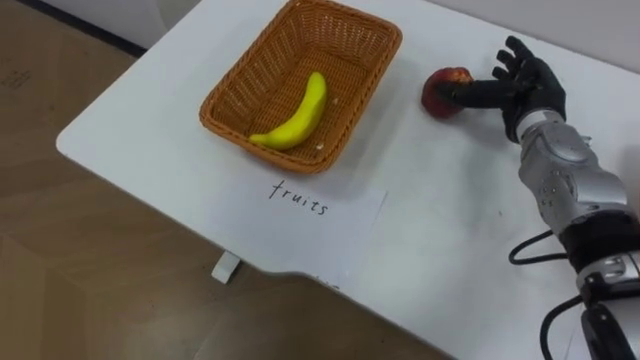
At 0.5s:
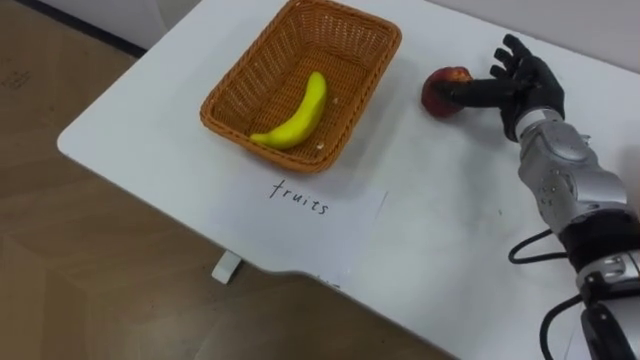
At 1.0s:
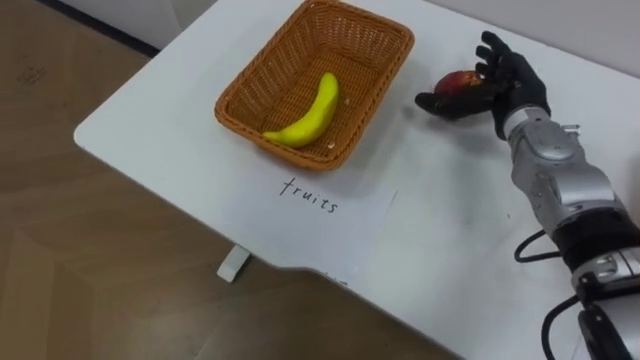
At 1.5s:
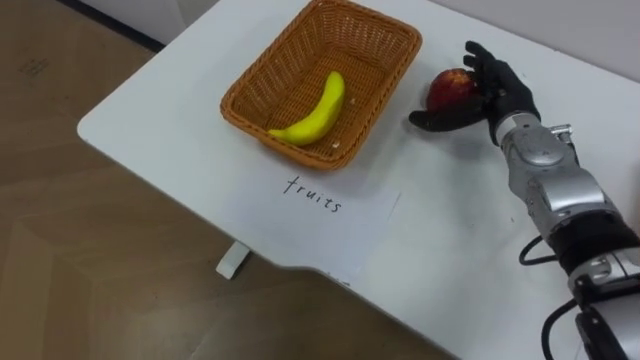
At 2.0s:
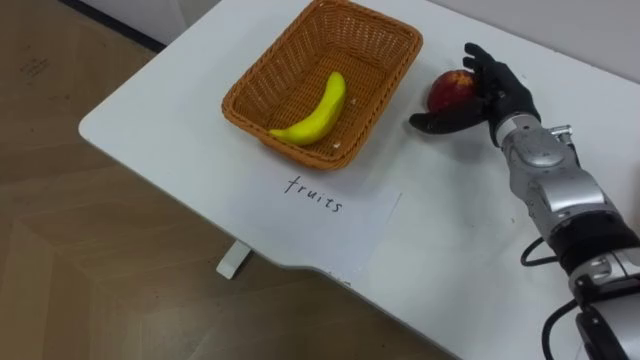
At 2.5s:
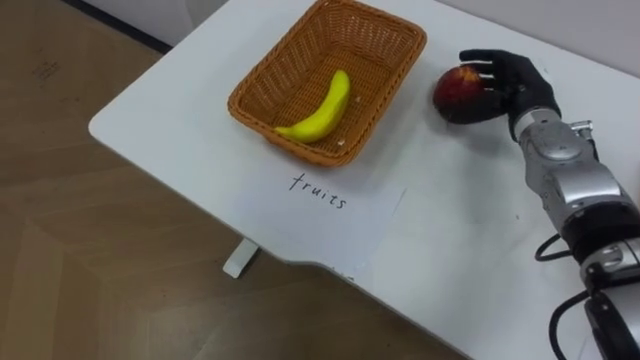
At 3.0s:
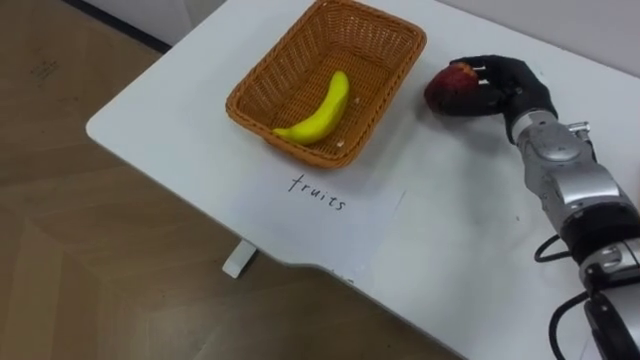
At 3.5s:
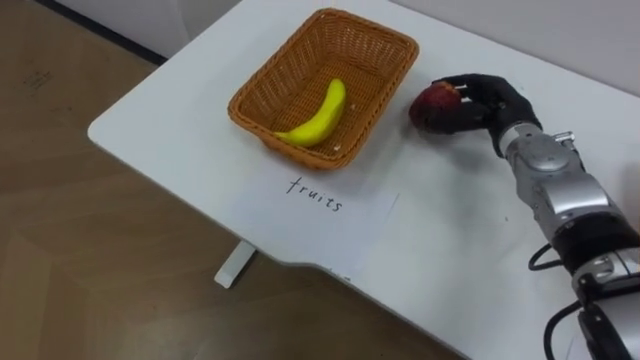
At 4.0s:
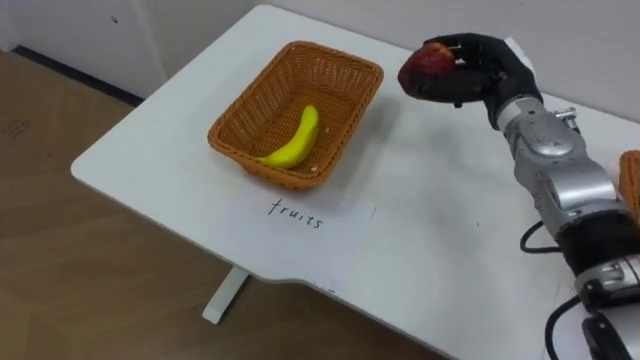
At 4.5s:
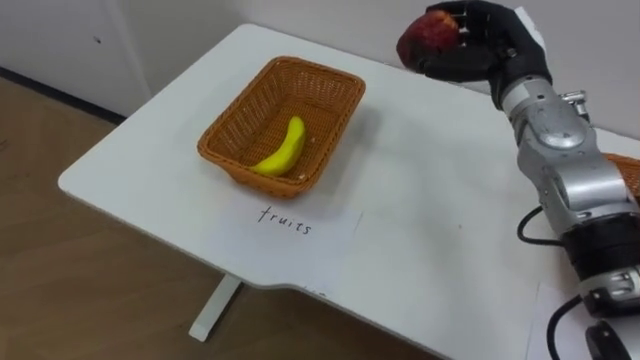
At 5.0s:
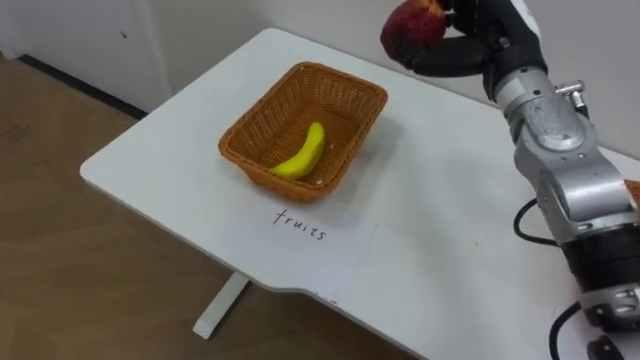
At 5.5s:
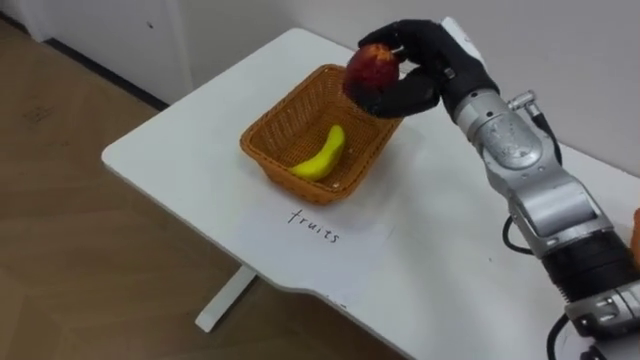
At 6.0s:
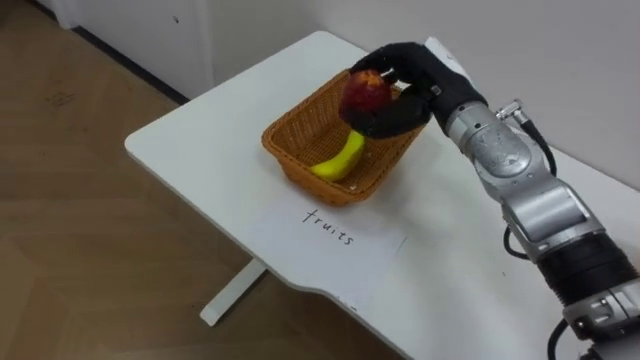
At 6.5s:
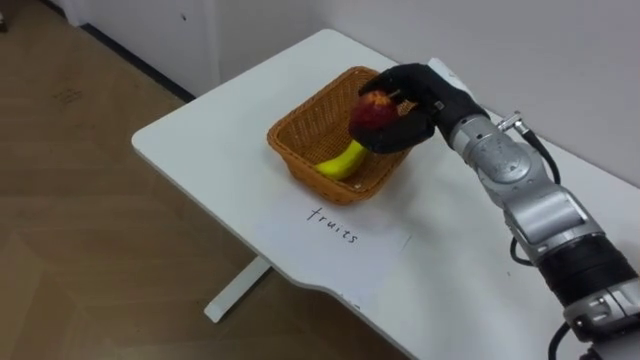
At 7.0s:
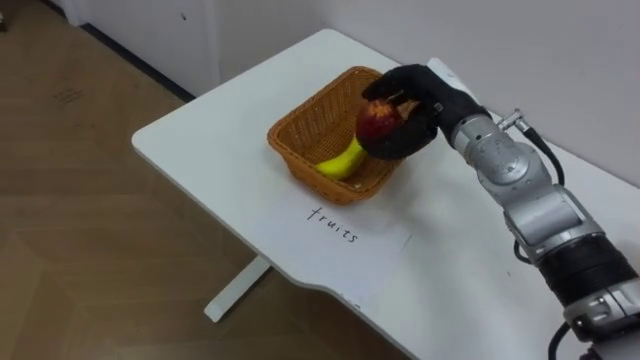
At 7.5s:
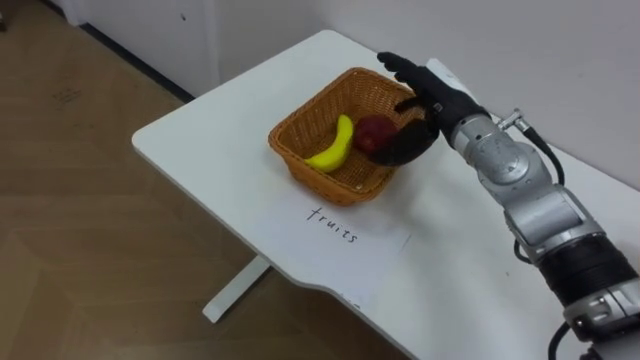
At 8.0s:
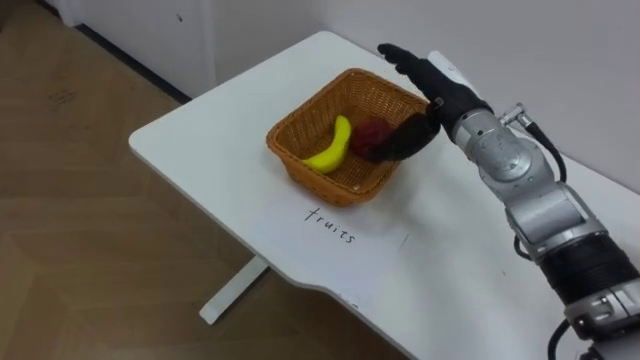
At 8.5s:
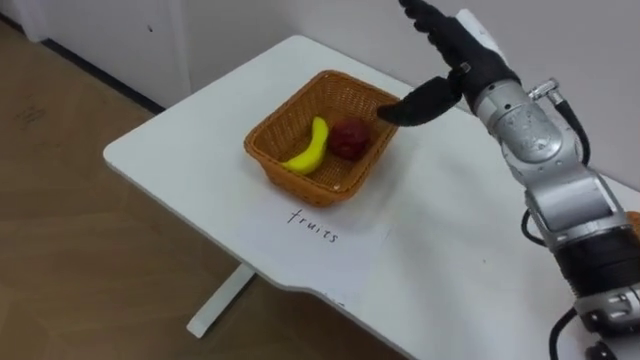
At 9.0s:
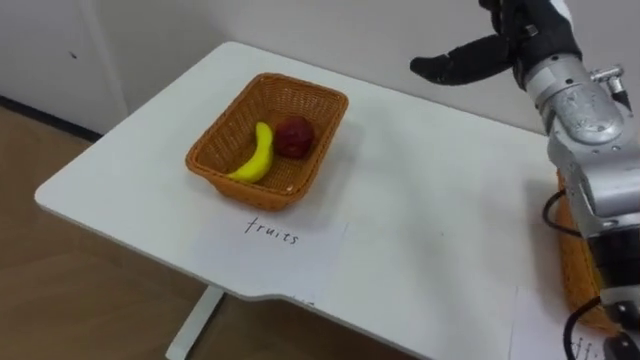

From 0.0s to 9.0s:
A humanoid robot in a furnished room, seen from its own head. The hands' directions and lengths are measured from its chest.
Task of the whole recording: Separate the items on the table and place them into the two baskets.
From 2.0s to 4.5s: The right hand is displaced upward by about 5 cm, and closes up.
From 4.5s to 7.0s: The right hand goes about 5 cm to the left.
From 7.0s to 9.0s: The right hand travels upward and to the right by roughly 10 cm, and opens its fingers.

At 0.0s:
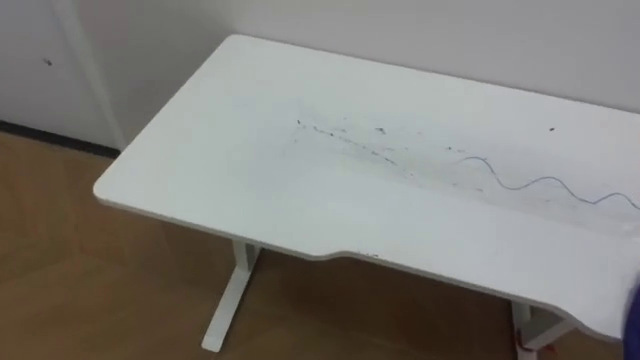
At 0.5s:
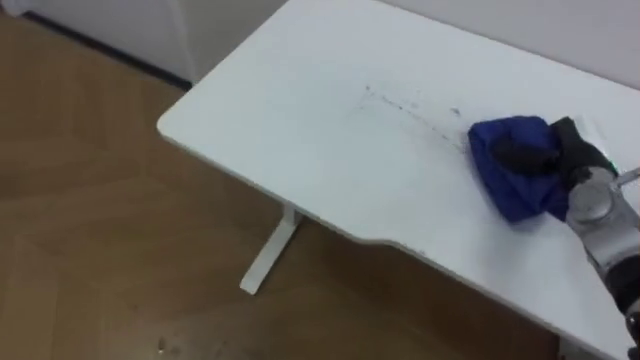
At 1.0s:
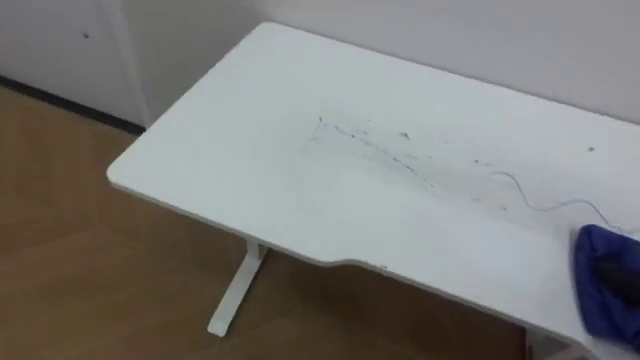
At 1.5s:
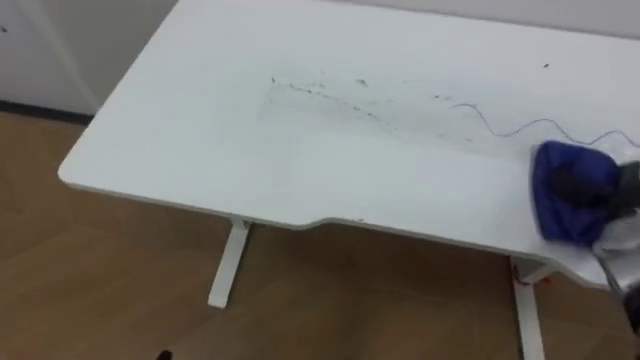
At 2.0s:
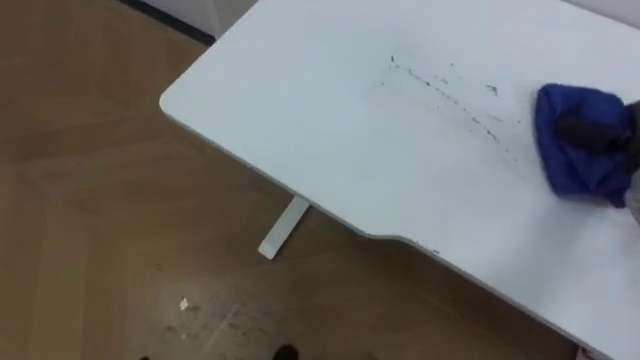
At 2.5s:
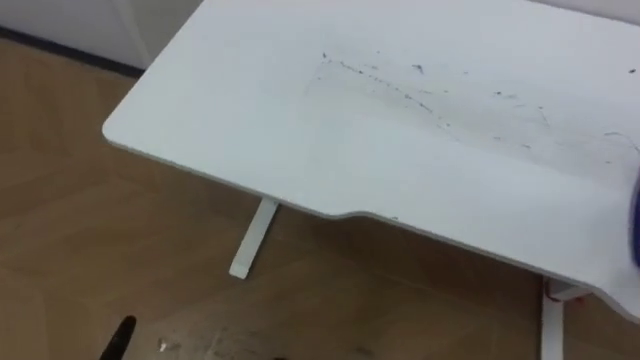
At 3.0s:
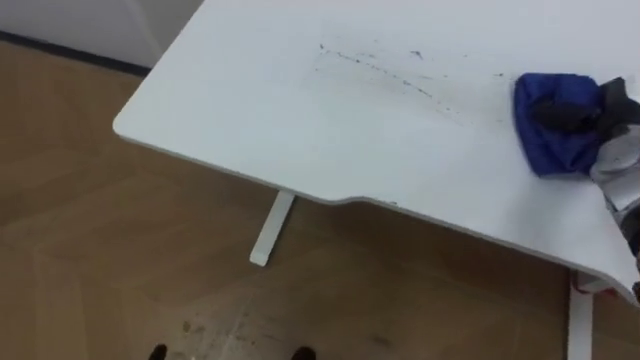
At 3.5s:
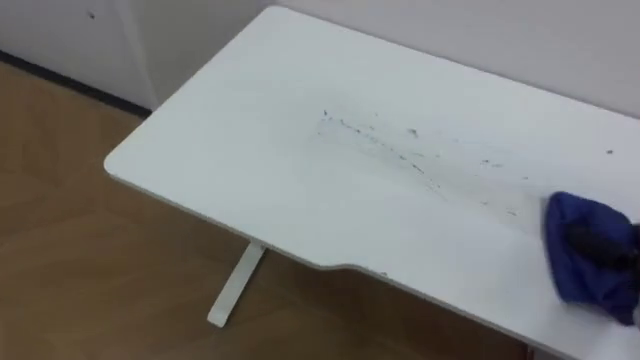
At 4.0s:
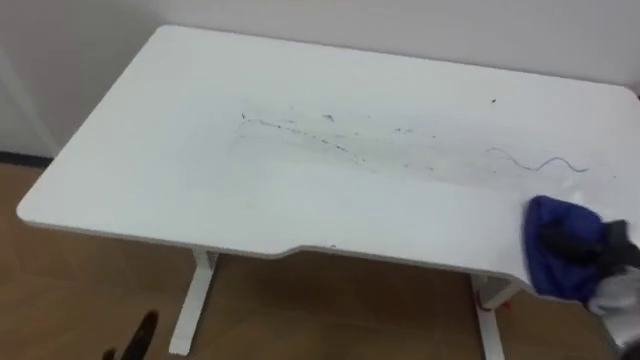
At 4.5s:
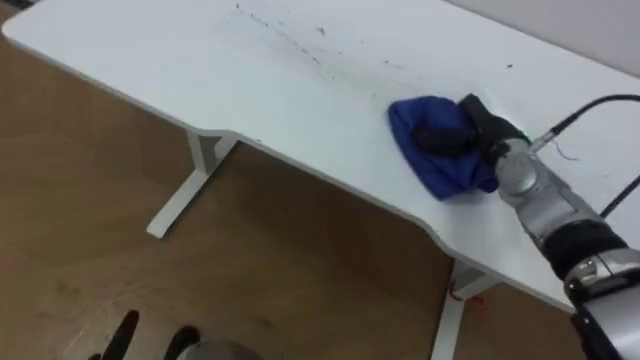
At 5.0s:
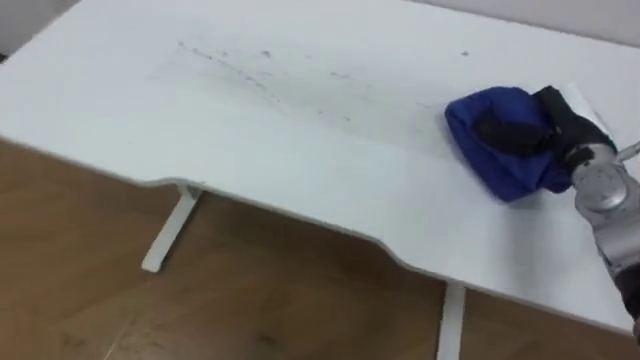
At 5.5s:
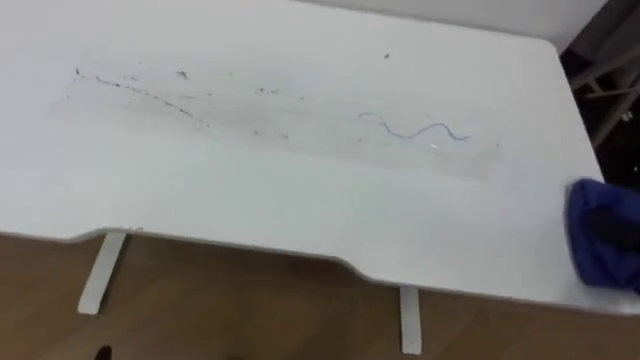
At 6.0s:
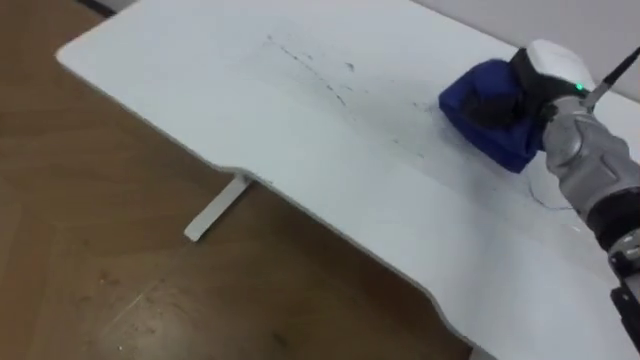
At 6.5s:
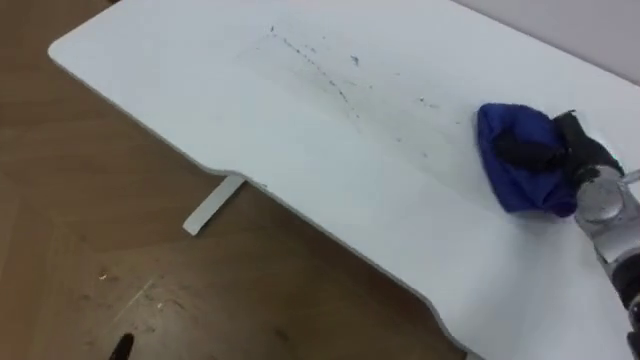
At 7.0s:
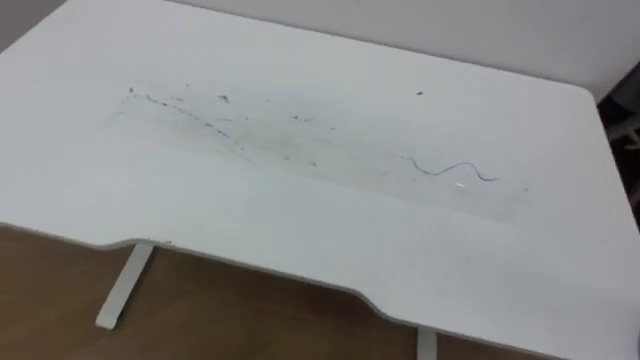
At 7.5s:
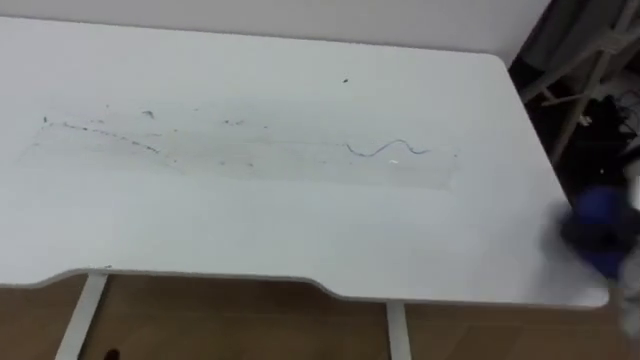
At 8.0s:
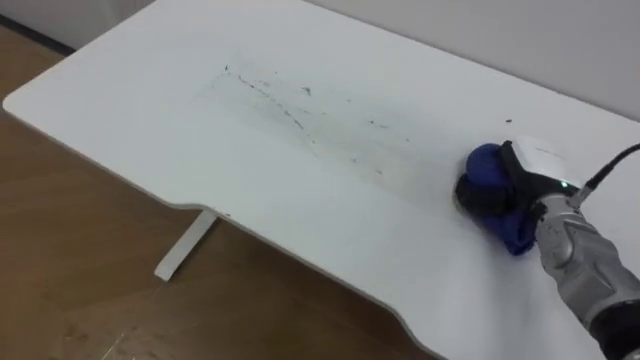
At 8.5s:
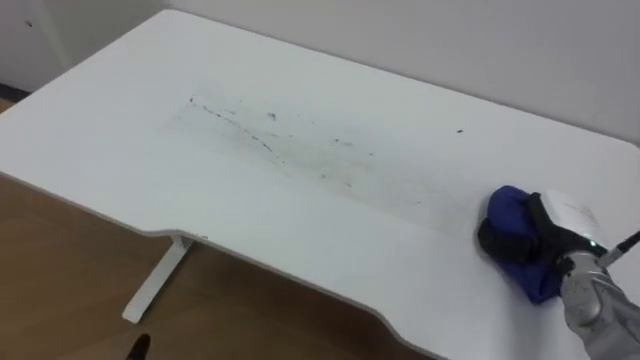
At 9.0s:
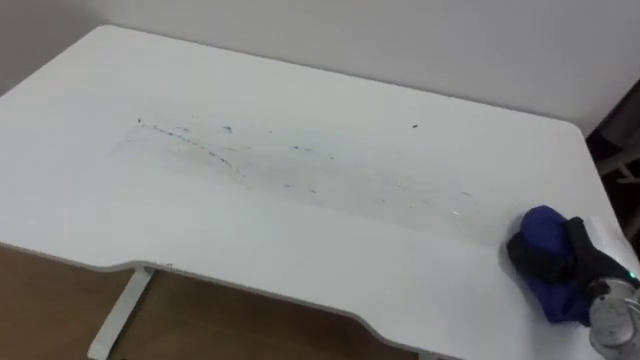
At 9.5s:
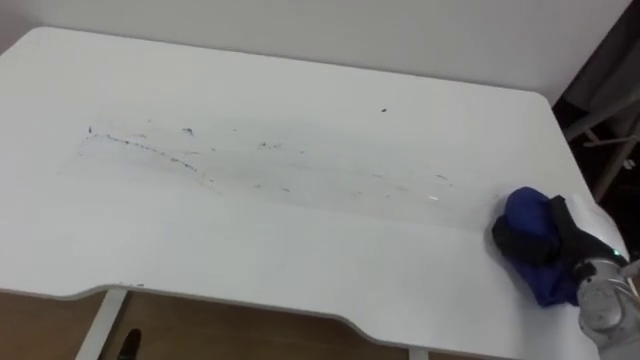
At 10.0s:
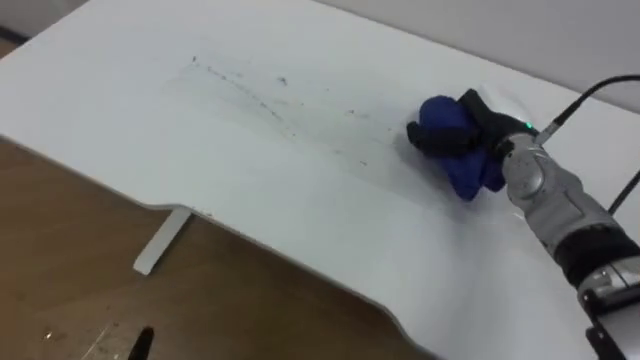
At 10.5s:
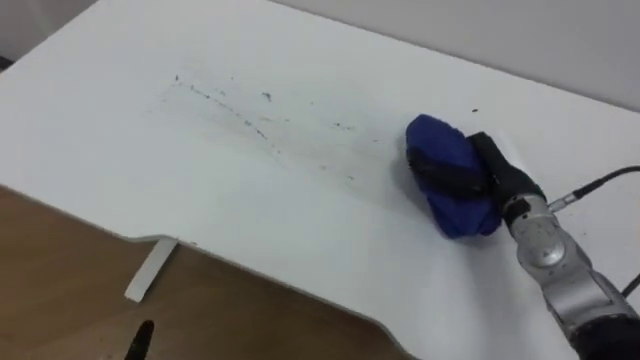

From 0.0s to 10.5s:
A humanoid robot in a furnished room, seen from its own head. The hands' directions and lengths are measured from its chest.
Task of the whole recording: Wipe the blue pen marks off the table with the rag.
From 2.0s to 4.0s: The robot faces some 20 degrees further to its right.
From 8.5s to 10.5s: The right hand moves to the left, forward and upward, some 10 cm.

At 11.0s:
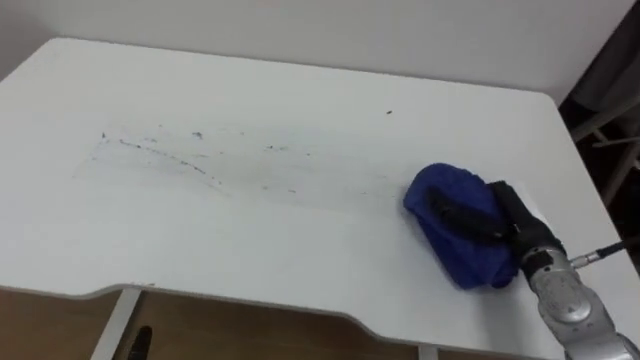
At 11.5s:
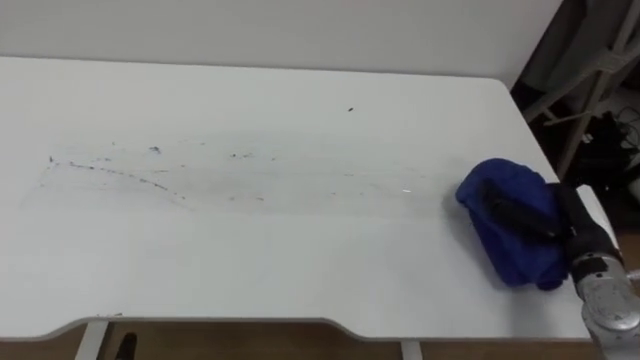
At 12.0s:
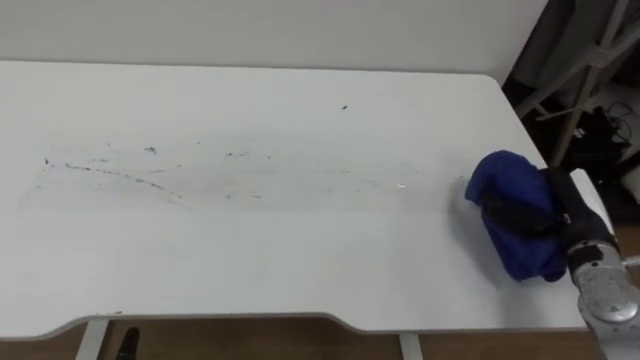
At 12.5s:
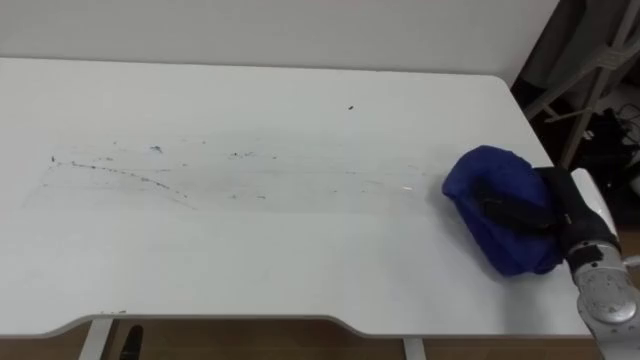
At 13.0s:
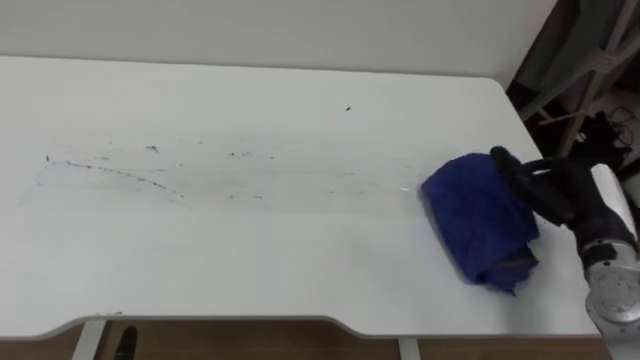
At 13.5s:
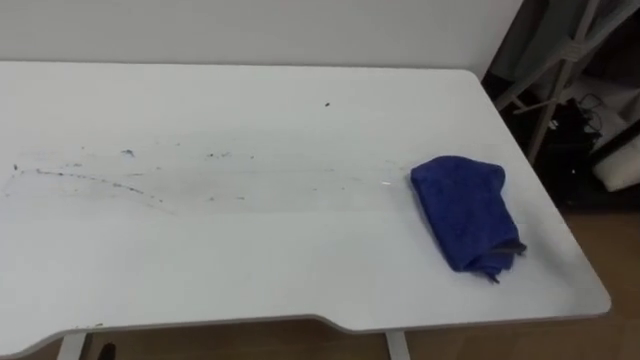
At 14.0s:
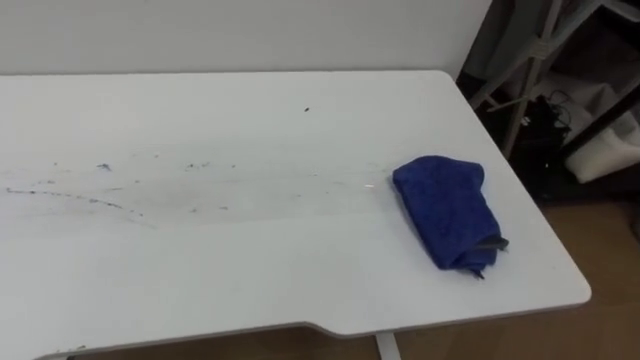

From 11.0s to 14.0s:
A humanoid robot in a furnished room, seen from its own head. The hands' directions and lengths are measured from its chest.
Task of the whole recording: Wipe the blue pen marks off the table with the rag.
From 11.0s to 12.5s: The right hand travels to the right by about 5 cm.
